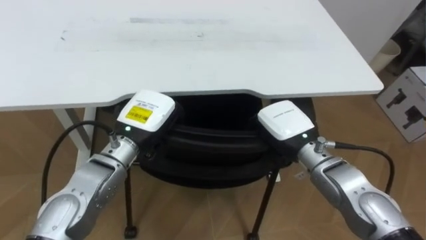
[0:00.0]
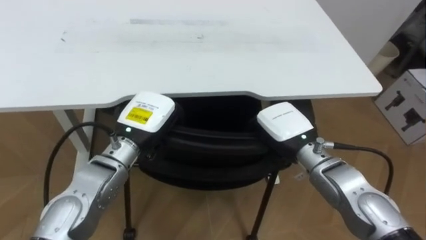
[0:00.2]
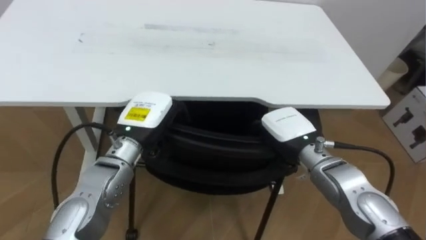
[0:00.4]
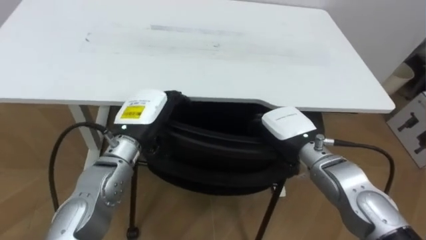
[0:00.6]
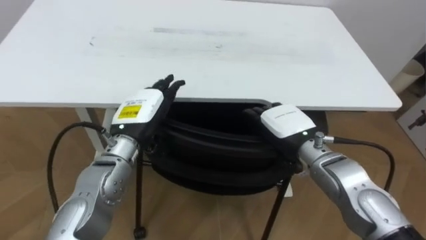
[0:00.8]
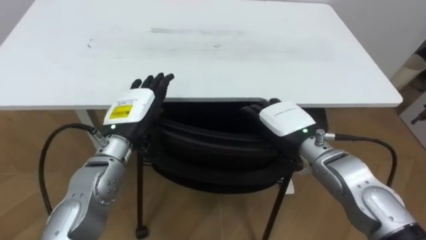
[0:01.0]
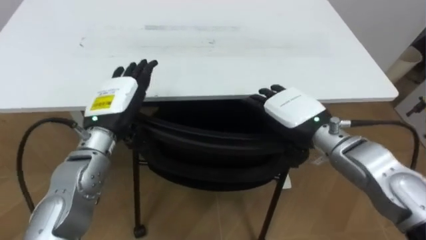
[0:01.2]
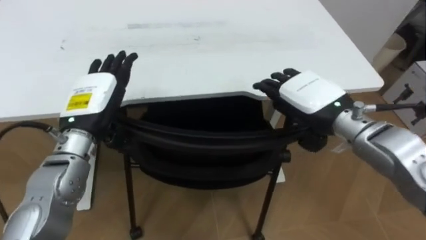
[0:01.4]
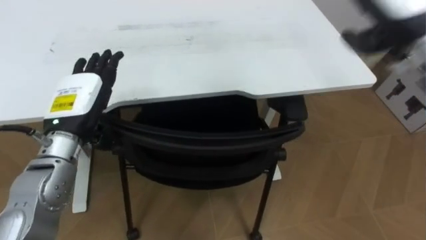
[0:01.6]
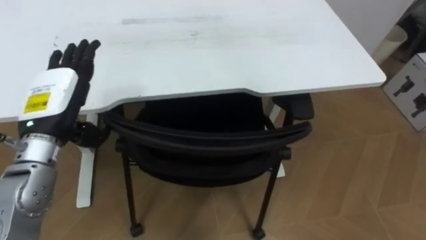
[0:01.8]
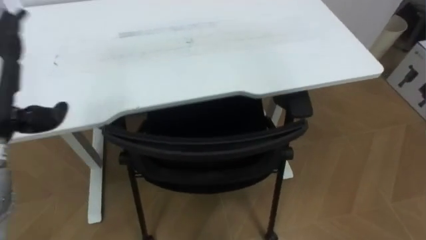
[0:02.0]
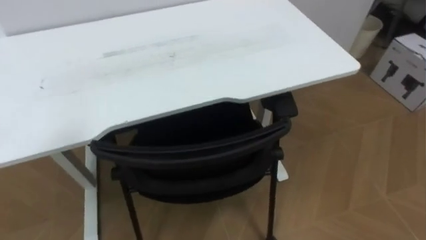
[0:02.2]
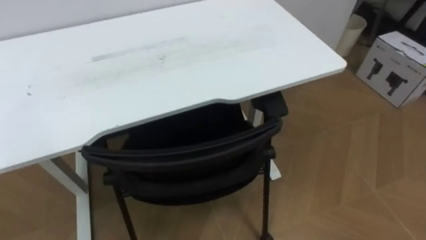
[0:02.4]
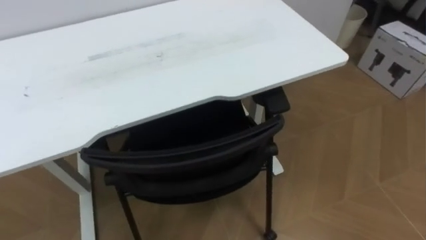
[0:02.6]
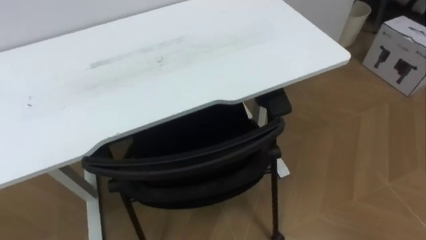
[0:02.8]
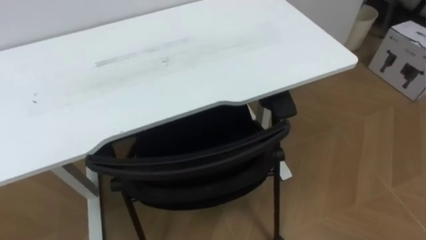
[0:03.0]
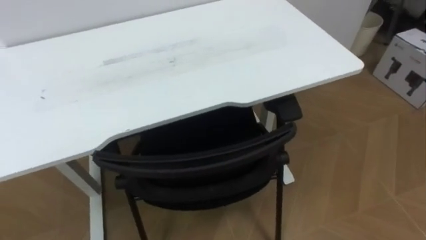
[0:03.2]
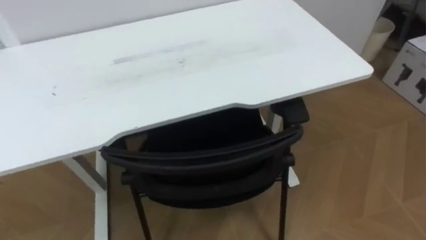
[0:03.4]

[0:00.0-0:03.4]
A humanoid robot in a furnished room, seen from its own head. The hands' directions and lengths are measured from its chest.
Task of the whole recording: Push the chair under the table.
0:00.0 to 0:01.6: The left hand travels to the left by roughly 10 cm, and opens, while the right hand is displaced upward and to the right by about 20 cm, and opens up.

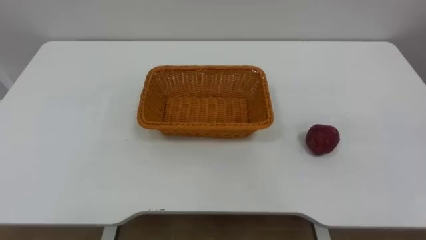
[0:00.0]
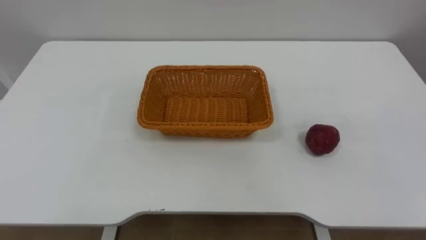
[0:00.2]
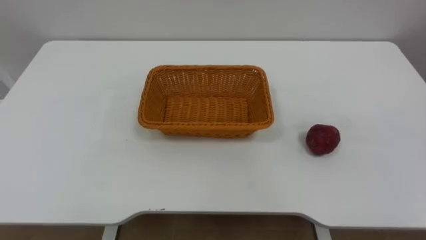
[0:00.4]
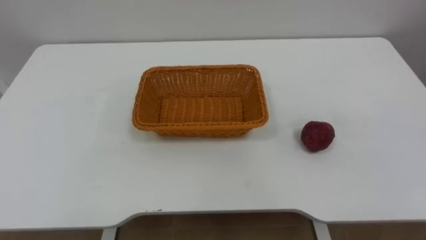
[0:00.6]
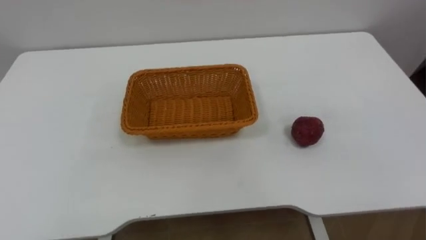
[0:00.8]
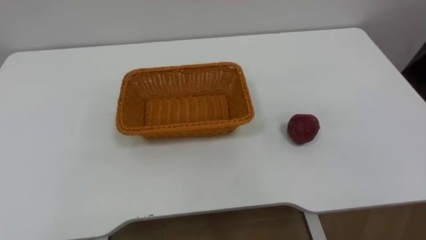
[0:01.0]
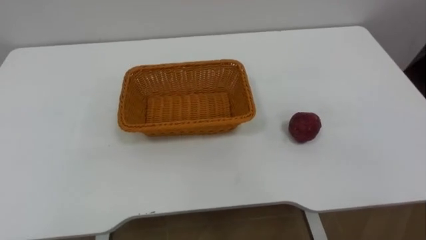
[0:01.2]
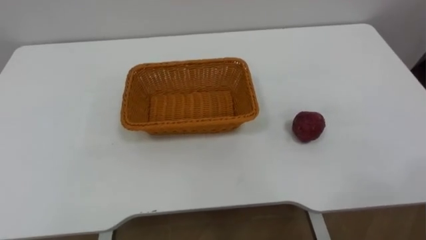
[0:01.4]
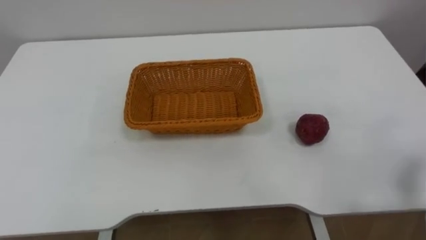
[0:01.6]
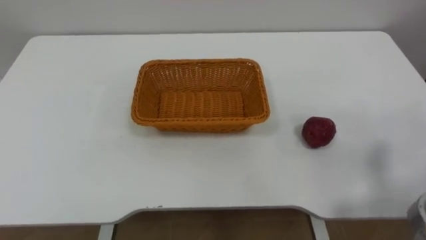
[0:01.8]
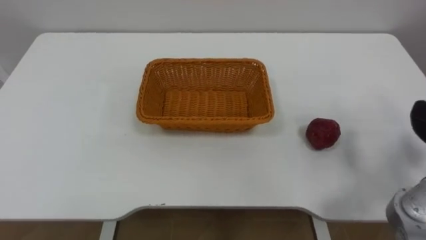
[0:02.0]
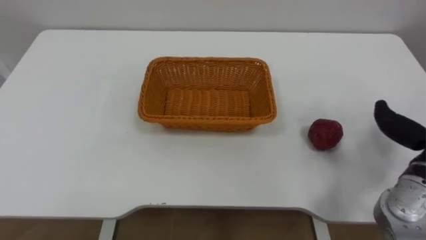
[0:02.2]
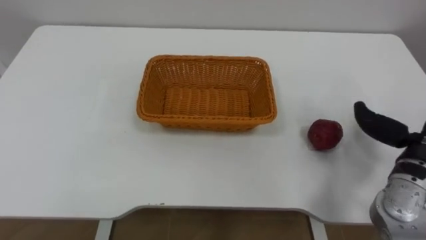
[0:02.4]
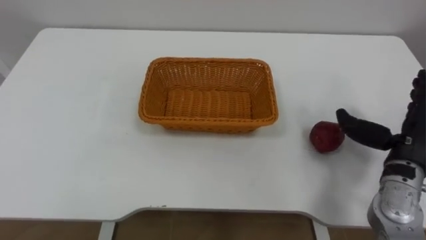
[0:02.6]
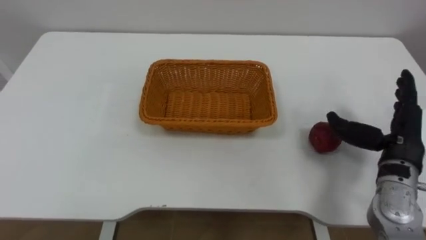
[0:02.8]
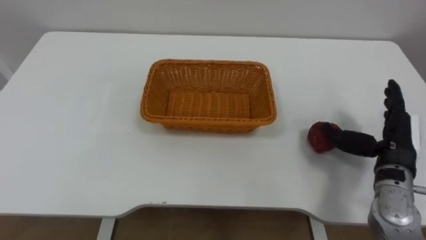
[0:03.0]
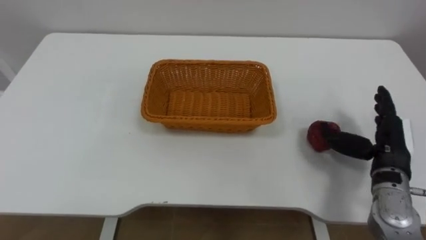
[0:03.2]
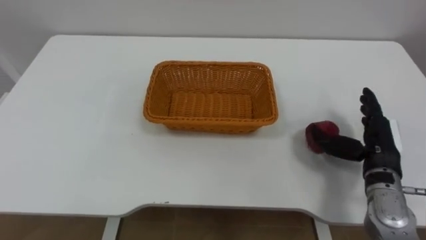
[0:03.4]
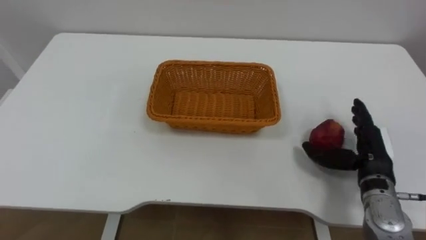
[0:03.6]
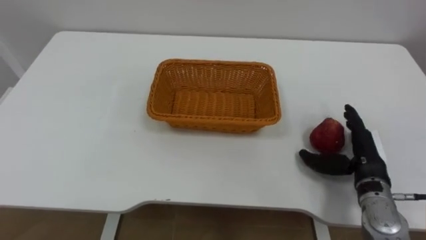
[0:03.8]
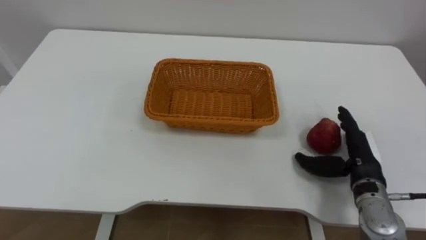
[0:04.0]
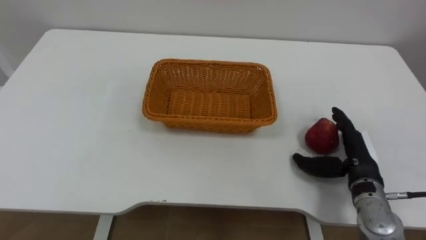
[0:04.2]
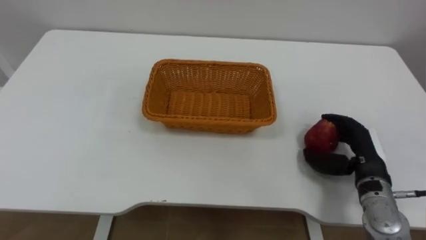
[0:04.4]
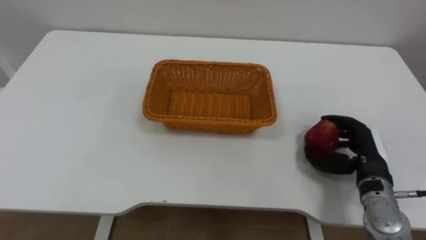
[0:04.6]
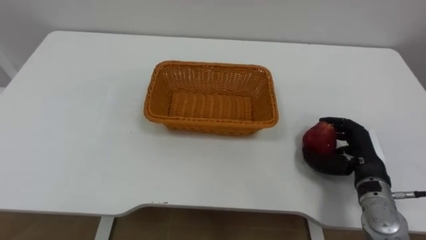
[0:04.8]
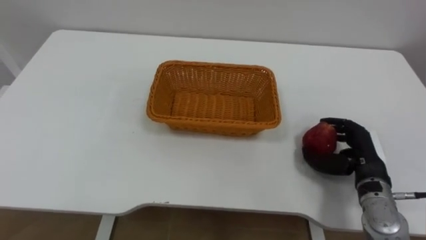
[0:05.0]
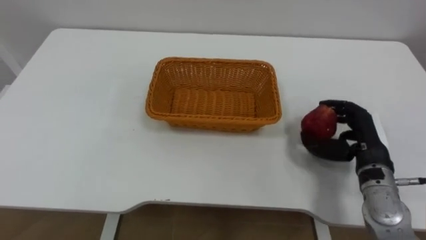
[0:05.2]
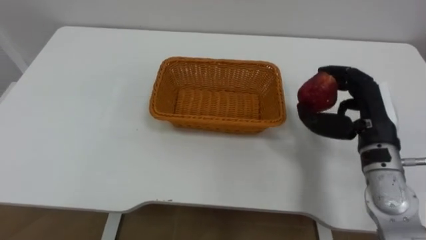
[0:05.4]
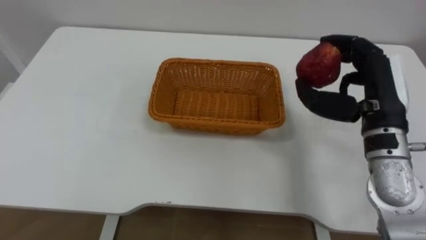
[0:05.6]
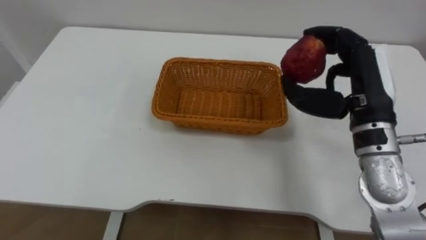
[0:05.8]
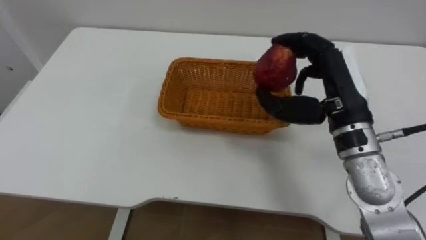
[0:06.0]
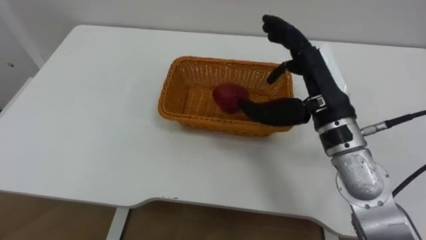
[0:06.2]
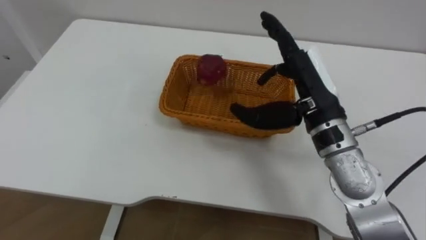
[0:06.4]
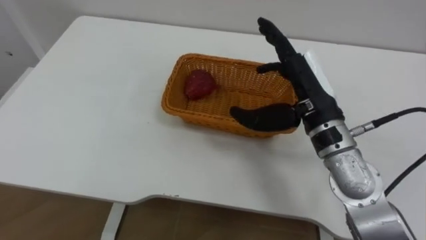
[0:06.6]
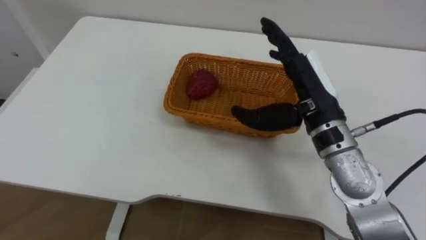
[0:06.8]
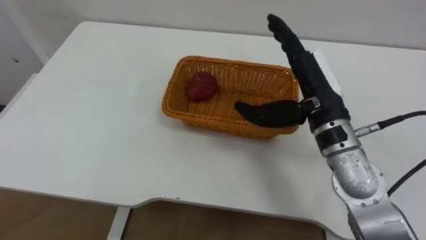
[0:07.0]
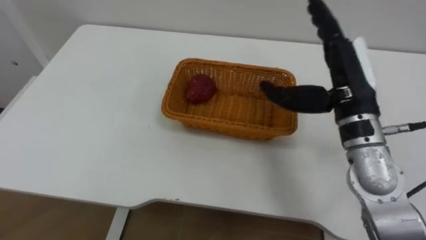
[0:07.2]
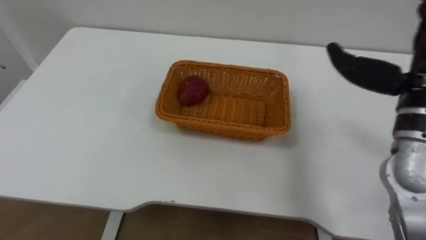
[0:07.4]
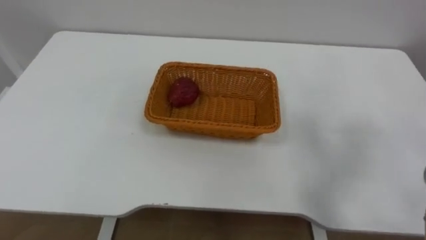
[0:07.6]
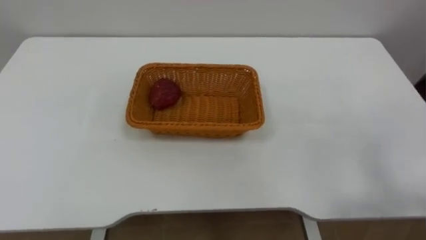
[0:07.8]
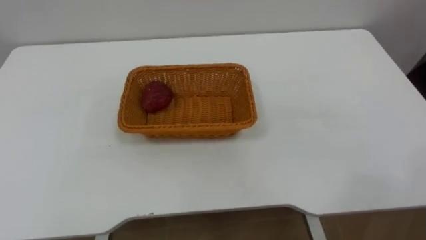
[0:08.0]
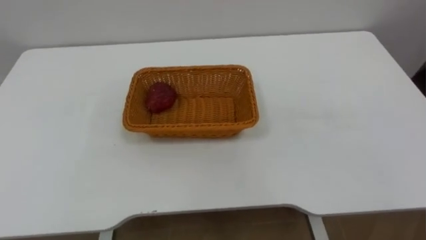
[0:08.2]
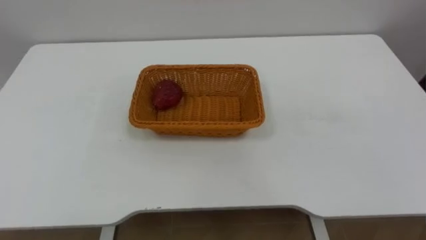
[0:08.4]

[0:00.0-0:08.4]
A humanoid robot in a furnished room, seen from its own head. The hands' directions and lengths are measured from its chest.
Task of the whole recording: Pick the apple and place it in the box.
0:02.8 to 0:04.2: The right hand is displaced downward by some 5 cm.
0:04.2 to 0:05.6: The right hand shifts approximately 15 cm upward, and closes up.
0:05.6 to 0:07.0: The right hand is displaced to the left by about 10 cm, and opens up.

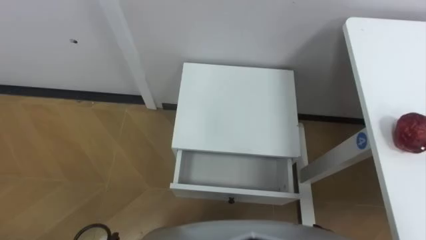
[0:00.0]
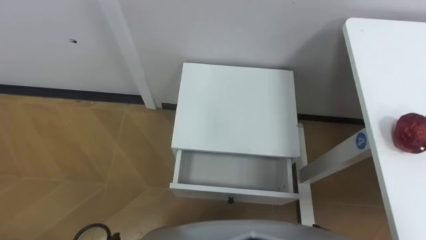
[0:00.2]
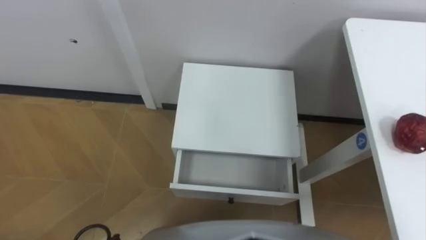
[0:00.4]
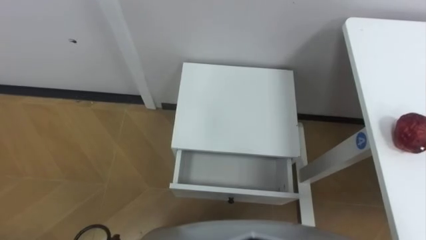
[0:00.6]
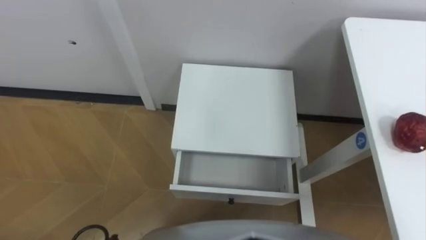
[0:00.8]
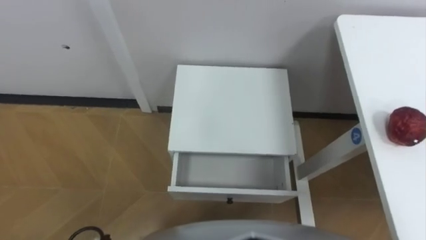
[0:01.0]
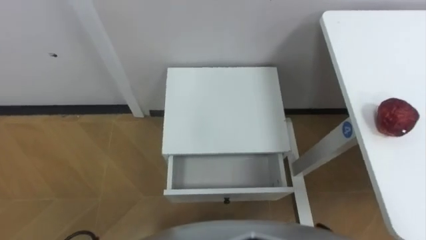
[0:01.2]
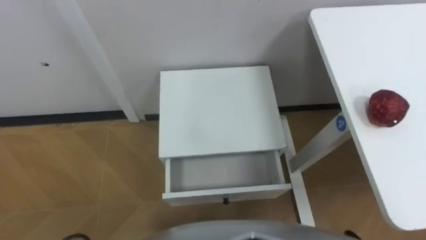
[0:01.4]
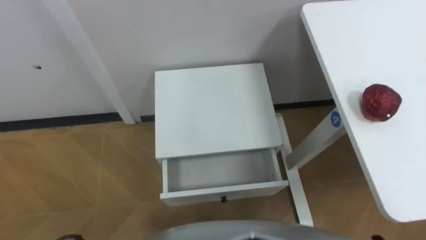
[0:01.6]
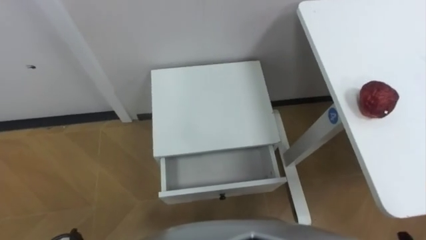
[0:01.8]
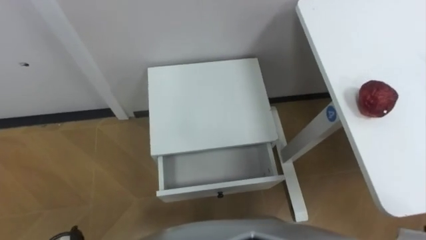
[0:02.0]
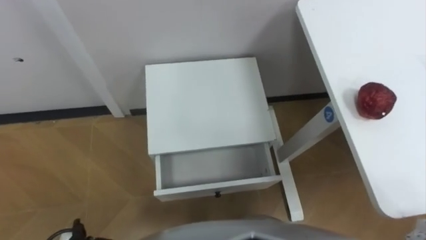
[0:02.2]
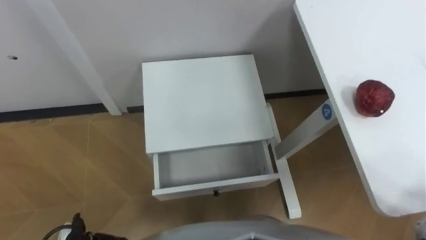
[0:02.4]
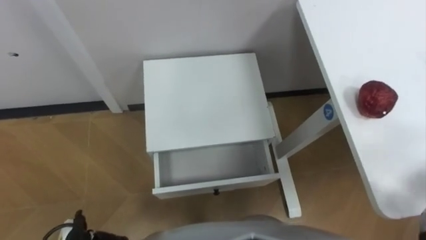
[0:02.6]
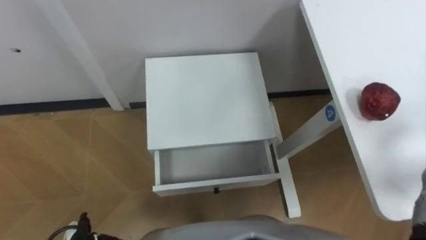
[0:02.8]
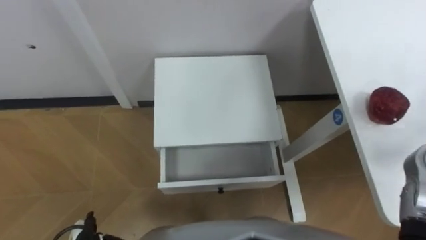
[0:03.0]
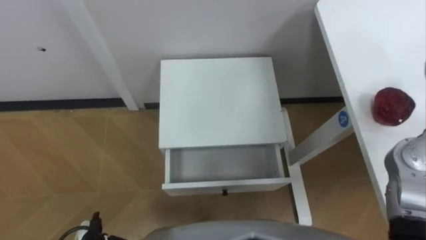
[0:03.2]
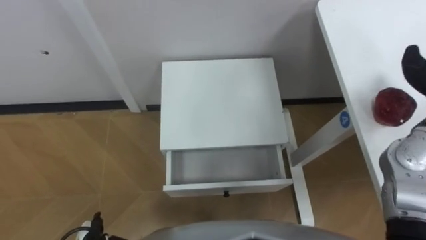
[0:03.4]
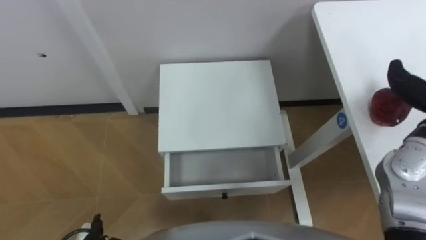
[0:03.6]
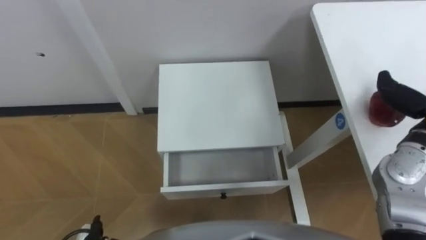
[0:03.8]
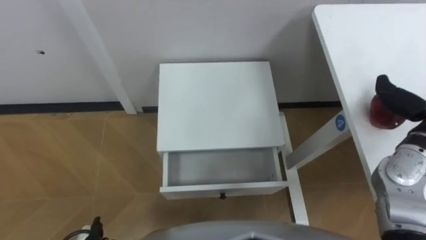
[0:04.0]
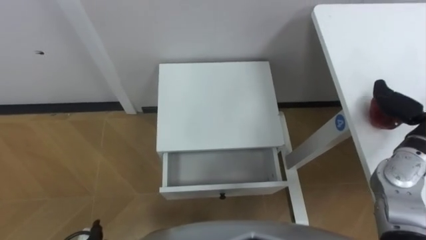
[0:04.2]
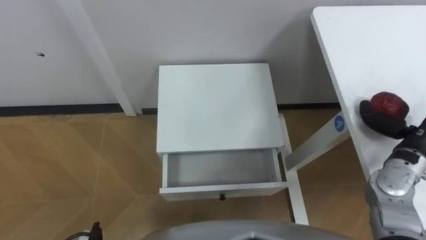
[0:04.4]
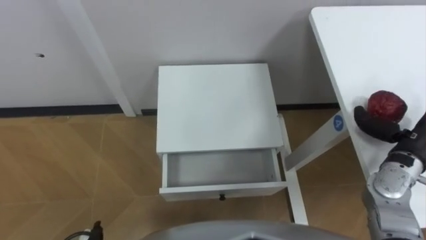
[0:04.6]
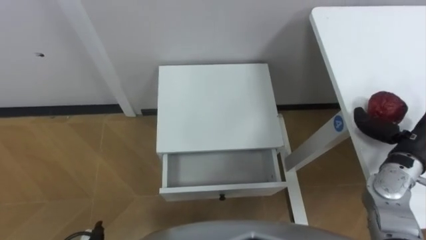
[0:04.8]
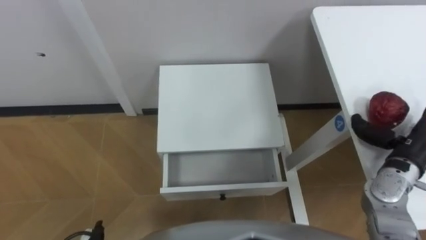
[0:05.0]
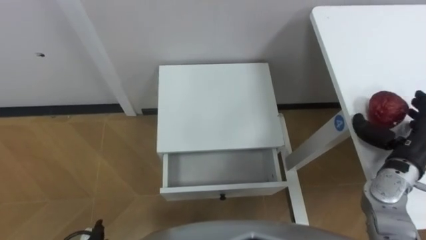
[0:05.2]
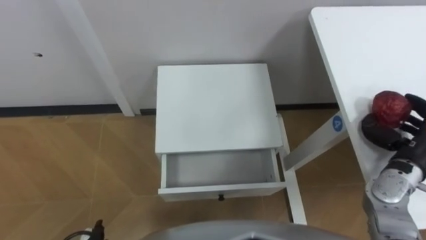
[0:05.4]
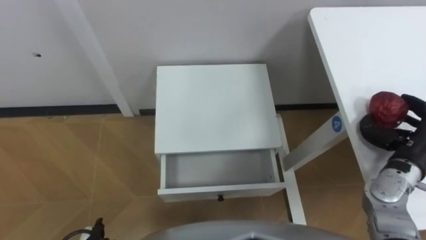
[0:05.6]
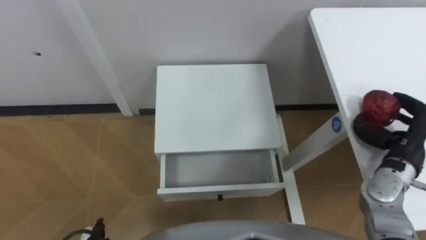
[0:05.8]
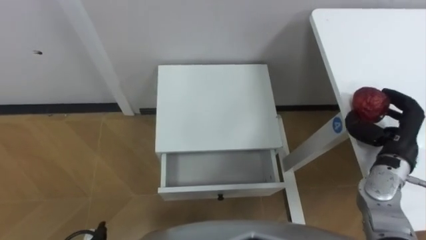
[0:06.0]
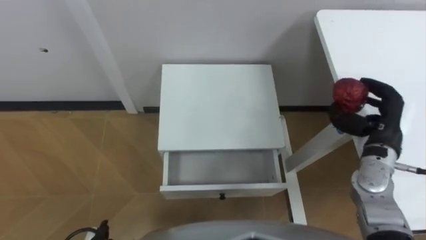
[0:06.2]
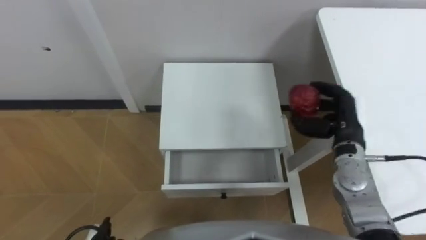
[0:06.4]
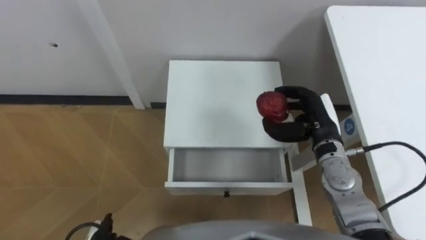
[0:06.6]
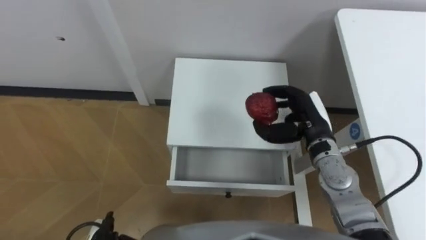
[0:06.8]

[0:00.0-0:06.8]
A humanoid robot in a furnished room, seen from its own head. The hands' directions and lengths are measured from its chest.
Task of the whole recording: Pick up the apple from the table, put it in the drawer, and close the drawer with leg.
0:05.4 to 0:06.8: The right hand goes approximately 15 cm to the left.
